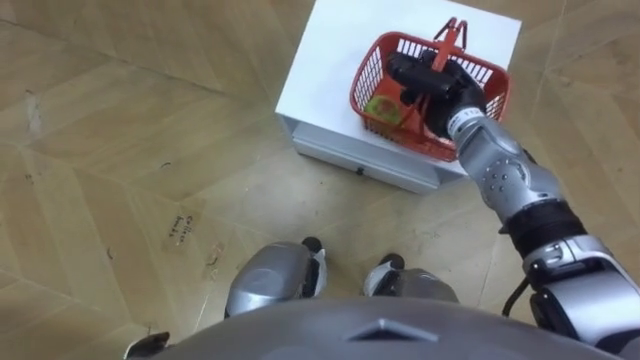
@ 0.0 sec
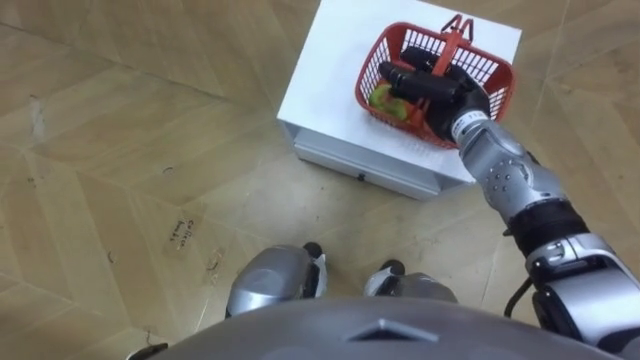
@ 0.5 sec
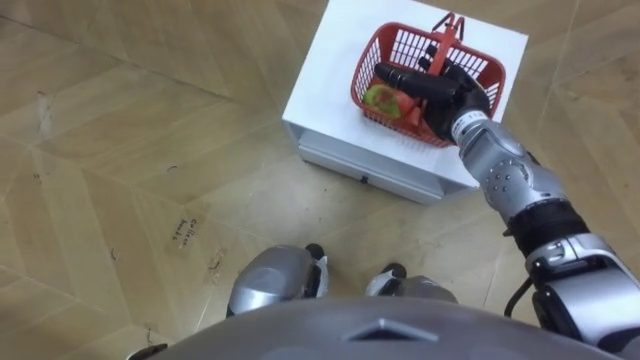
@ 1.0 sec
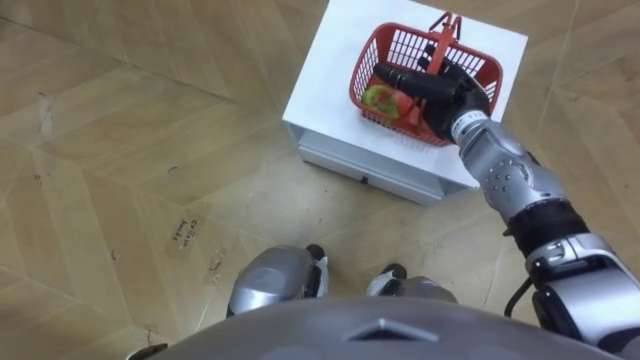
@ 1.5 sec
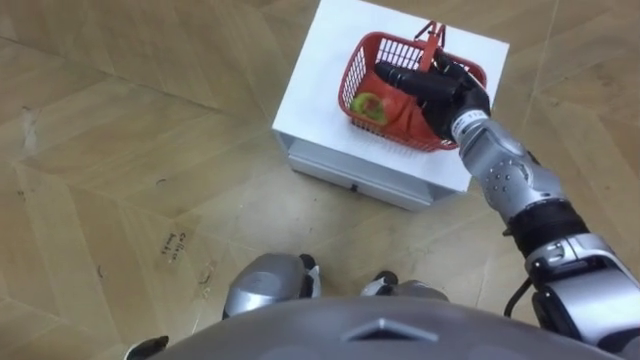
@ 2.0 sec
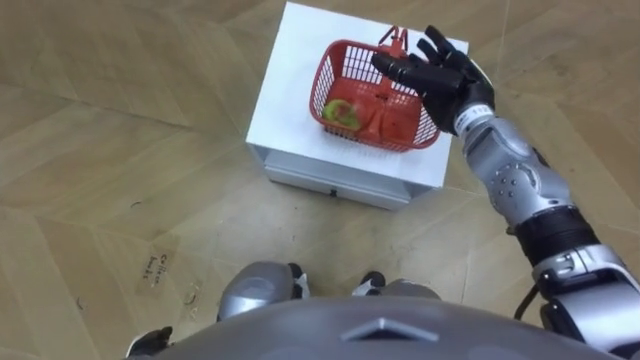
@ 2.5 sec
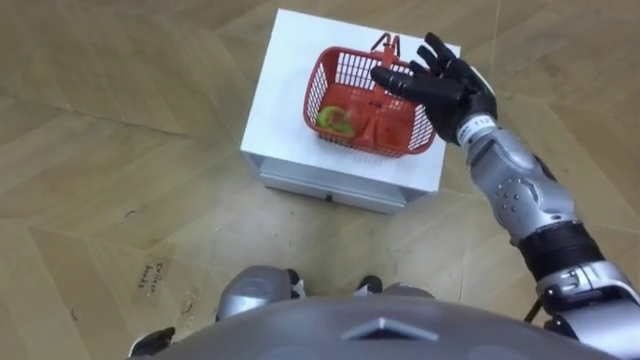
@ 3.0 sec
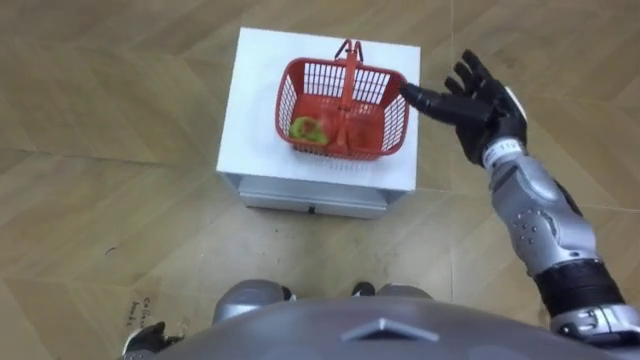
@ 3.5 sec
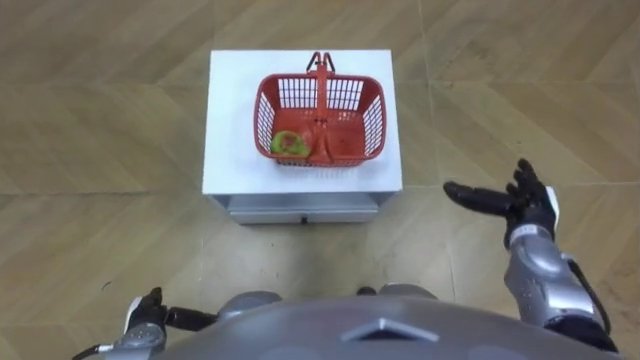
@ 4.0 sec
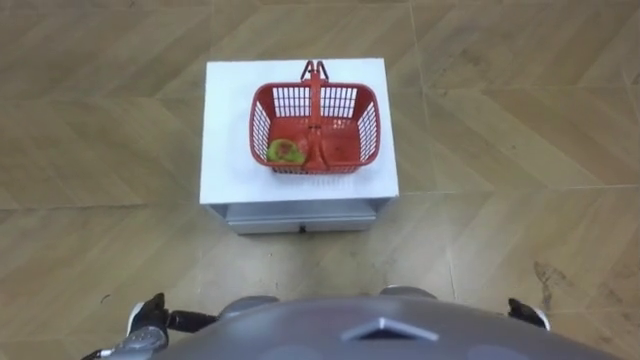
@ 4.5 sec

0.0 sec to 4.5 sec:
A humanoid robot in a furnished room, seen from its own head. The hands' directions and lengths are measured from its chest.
Task of the whole recording: Pick up the fruit basket from the floor and place it on the cabinet.
0.0 sec to 2.0 sec: The right hand opens.
2.0 sec to 4.5 sec: The right hand travels backward and downward by roughly 35 cm.
